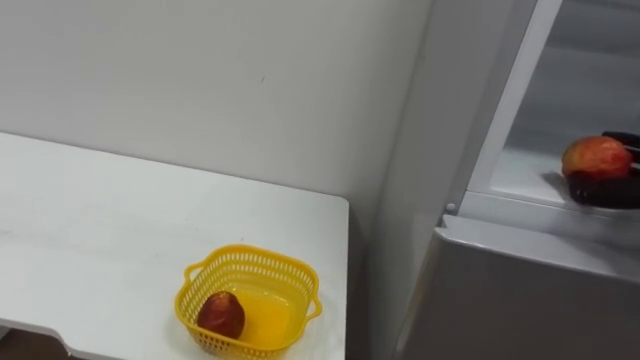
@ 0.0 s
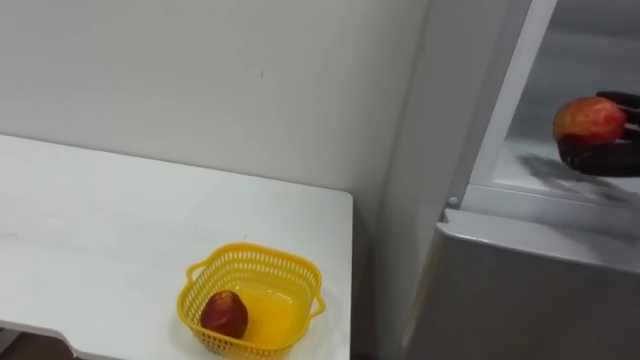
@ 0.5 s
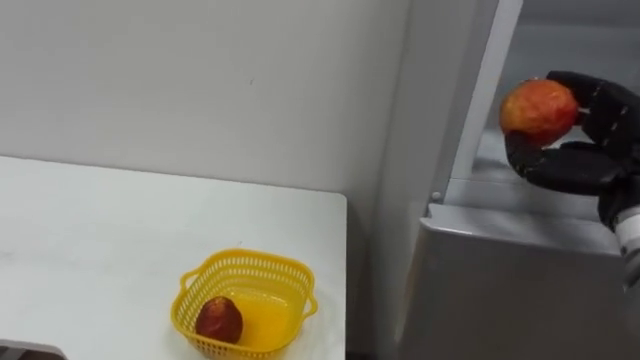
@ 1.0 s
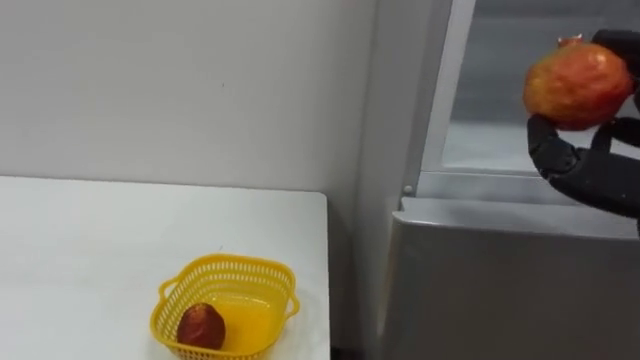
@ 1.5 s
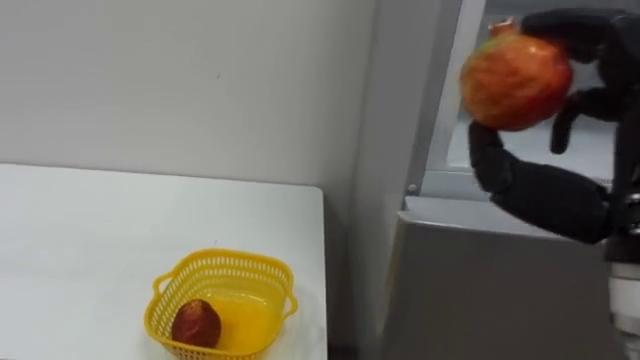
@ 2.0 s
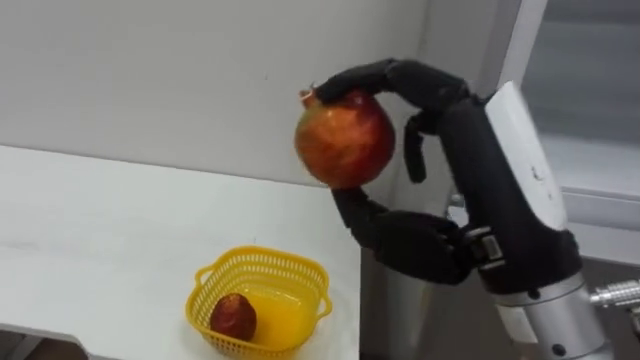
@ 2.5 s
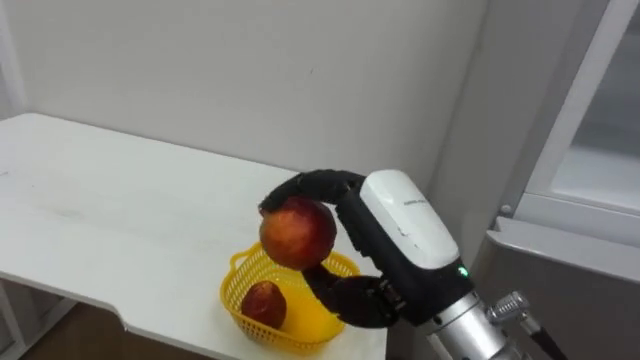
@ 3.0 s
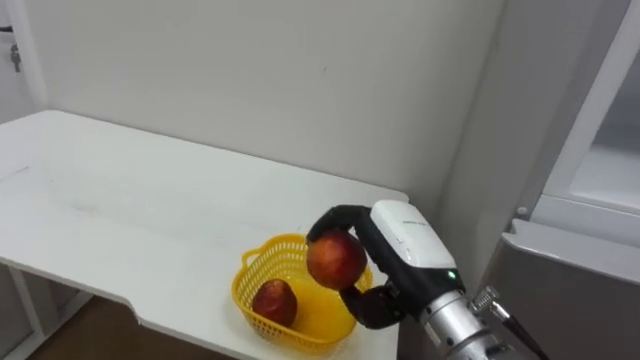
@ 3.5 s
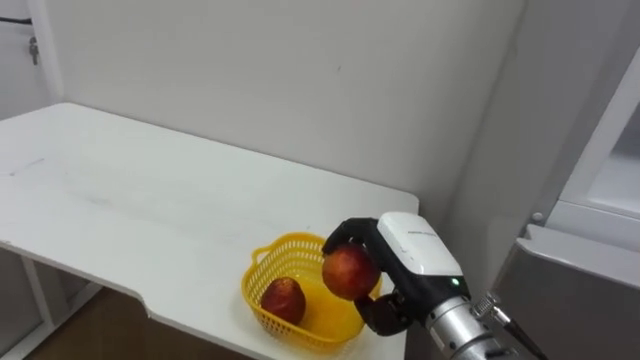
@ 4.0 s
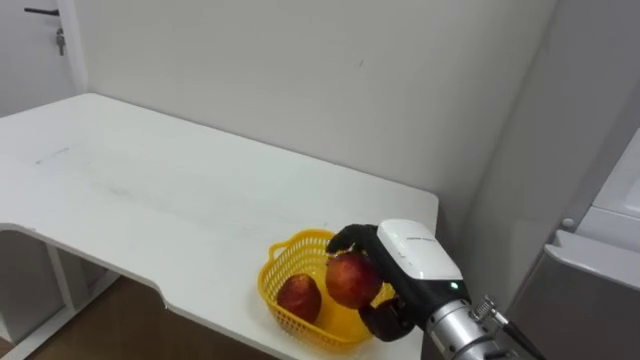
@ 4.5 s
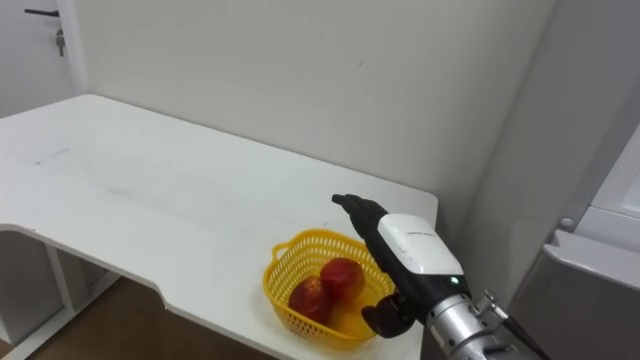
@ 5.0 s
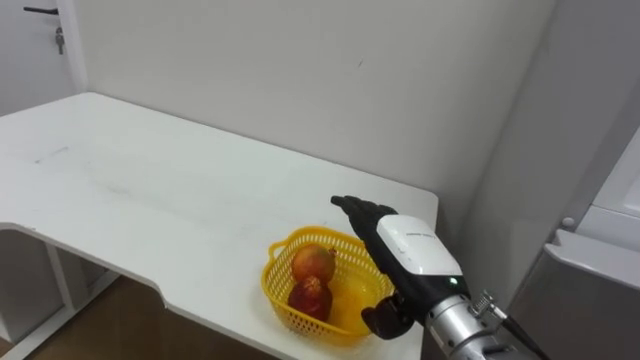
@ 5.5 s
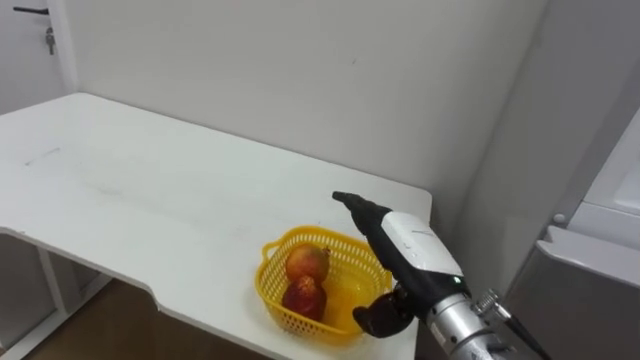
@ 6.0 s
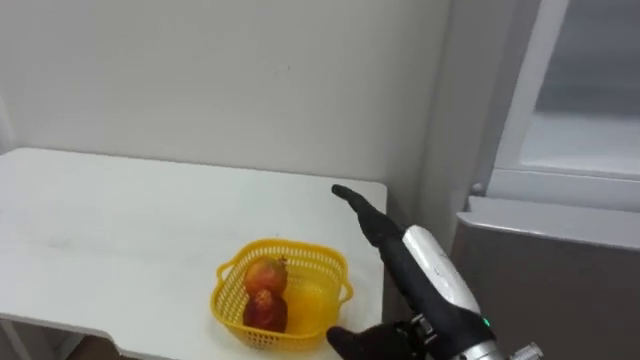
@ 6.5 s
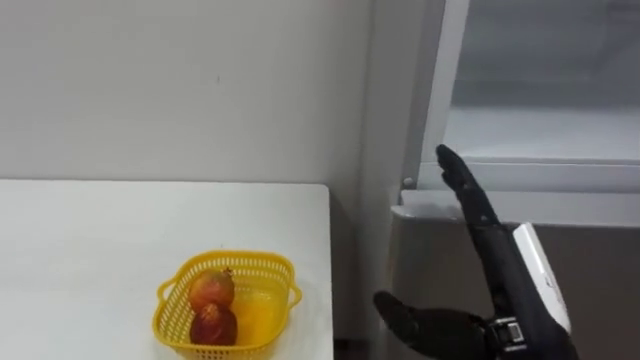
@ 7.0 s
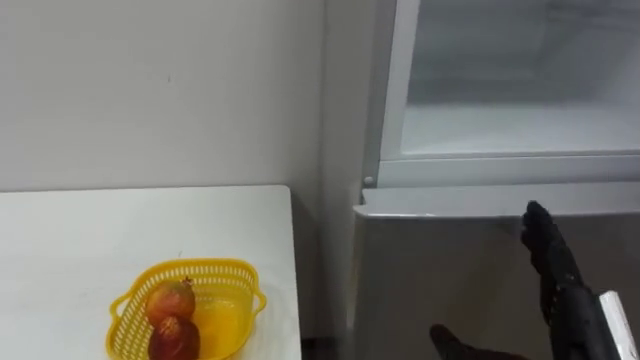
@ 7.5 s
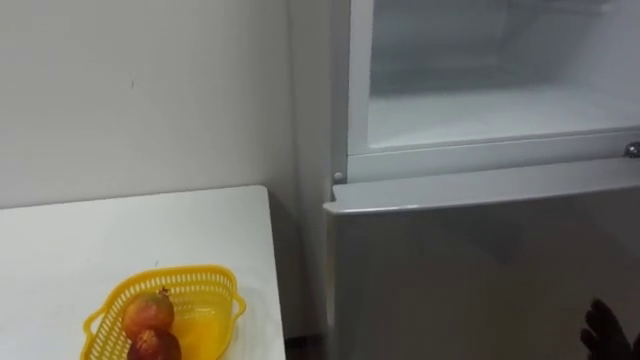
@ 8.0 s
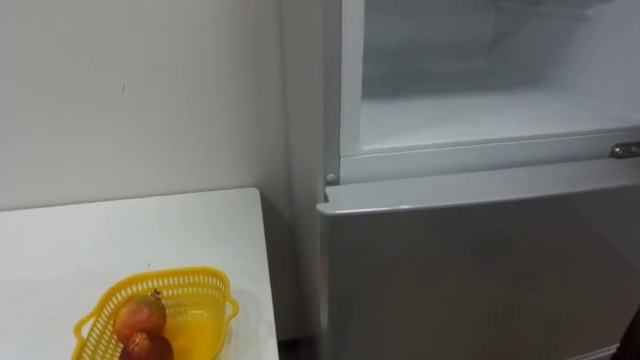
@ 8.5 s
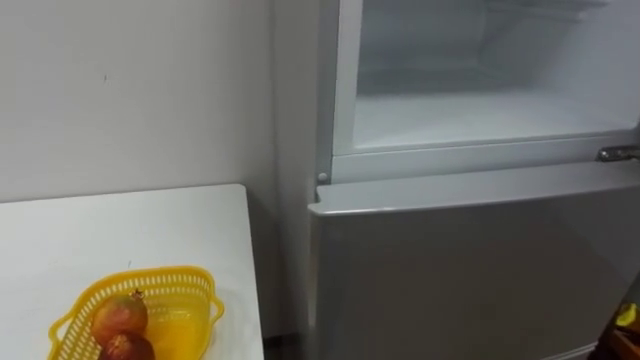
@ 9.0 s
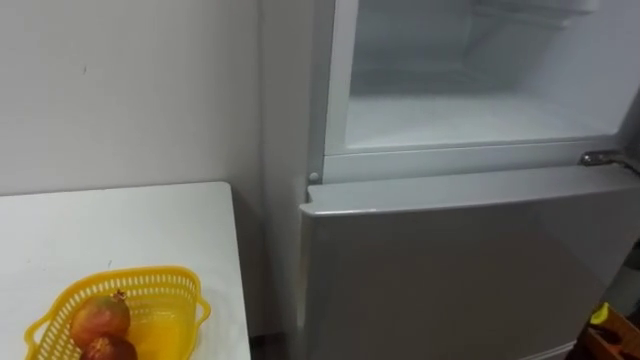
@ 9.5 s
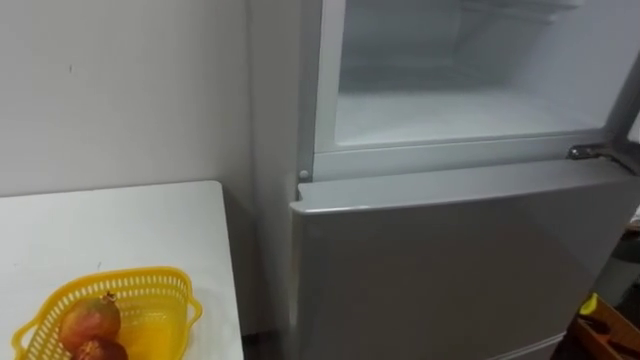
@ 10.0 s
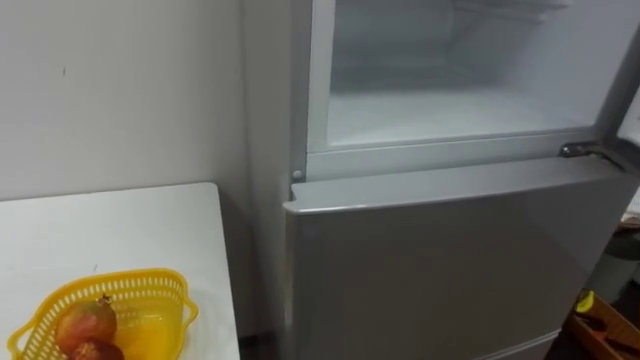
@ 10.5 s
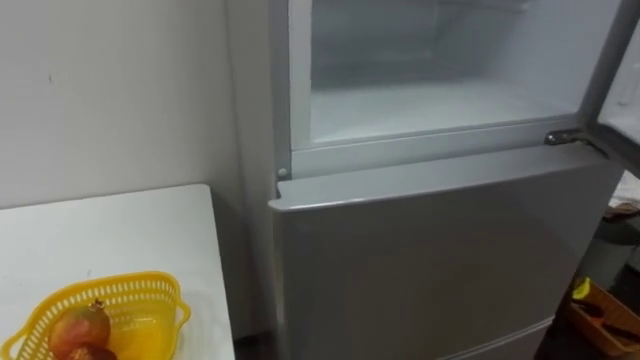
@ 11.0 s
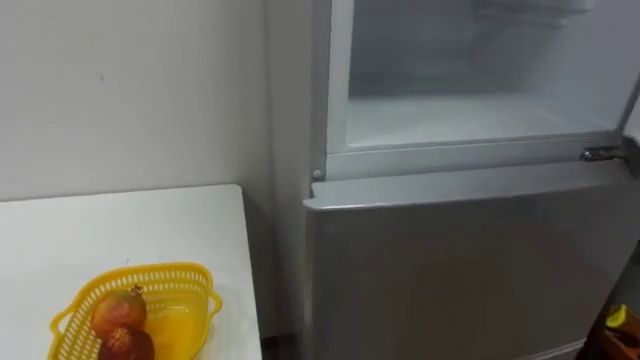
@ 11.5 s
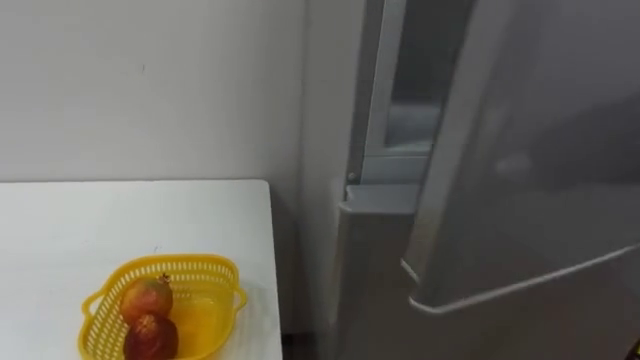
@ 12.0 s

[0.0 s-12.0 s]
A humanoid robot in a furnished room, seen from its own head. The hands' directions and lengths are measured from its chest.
Task of the whole recording: Open the refrigerator door, take out the apple and the pomegranate, place them in the fruit basket on the left, and close the refrigerator door.
2.0 to 4.0 s: The right hand moves downward, to the left and forward, some 25 cm.
4.0 to 6.0 s: The right hand opens up.

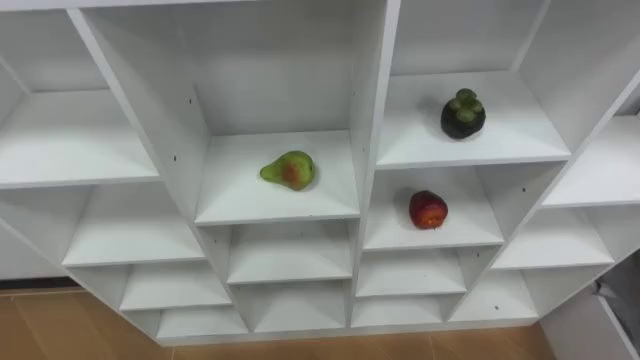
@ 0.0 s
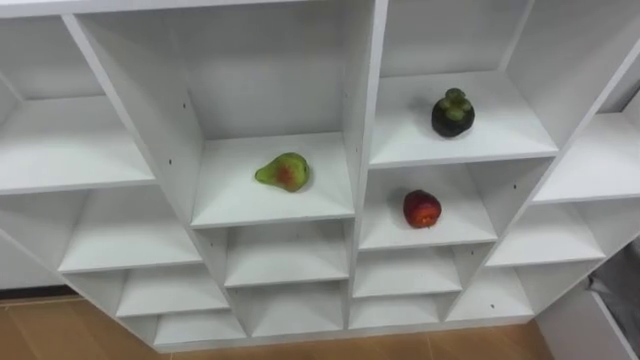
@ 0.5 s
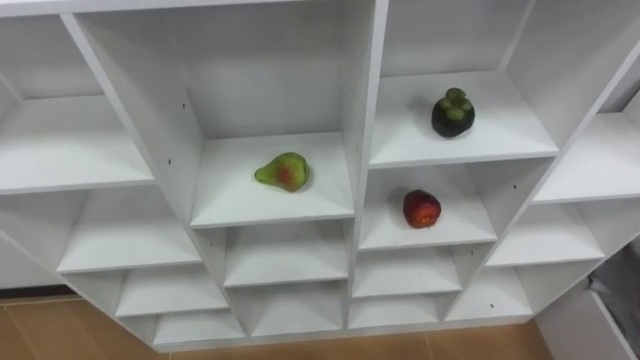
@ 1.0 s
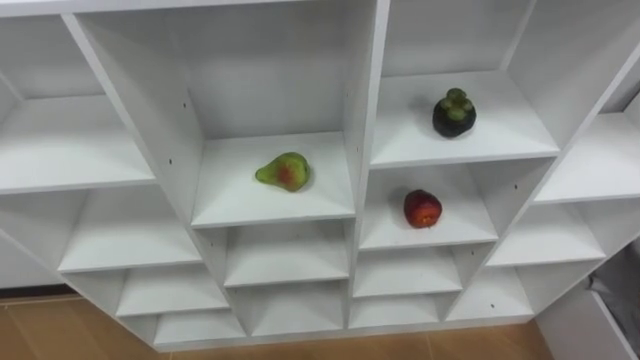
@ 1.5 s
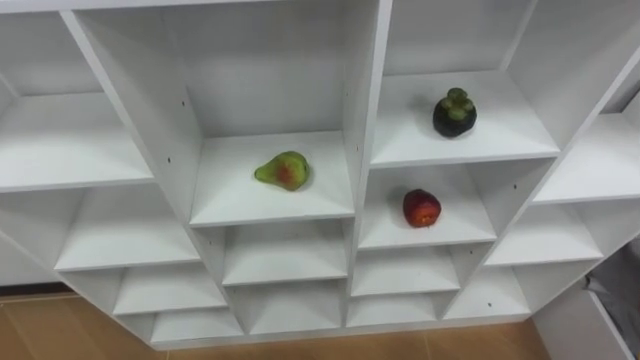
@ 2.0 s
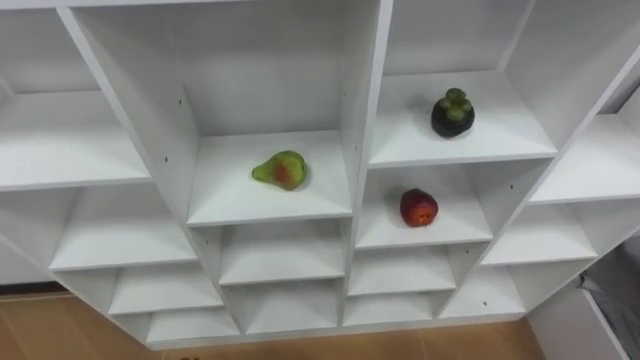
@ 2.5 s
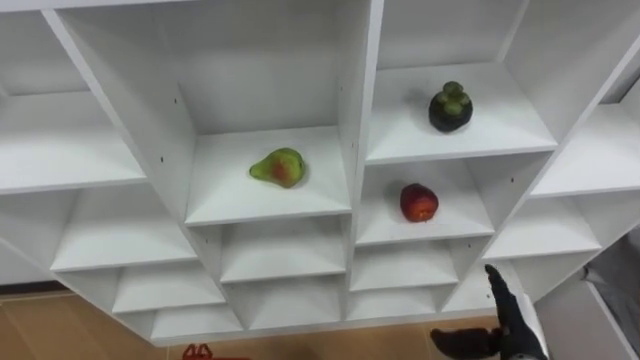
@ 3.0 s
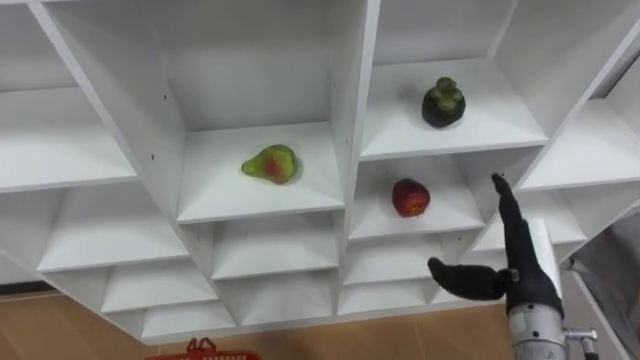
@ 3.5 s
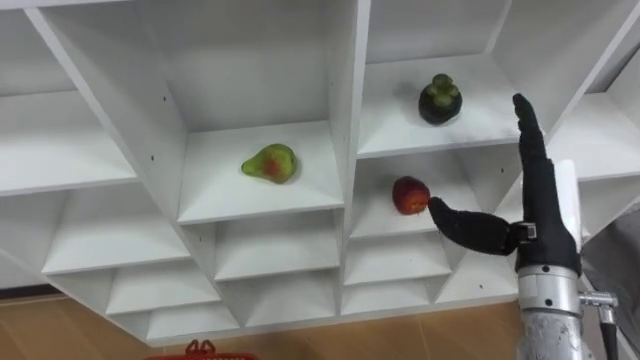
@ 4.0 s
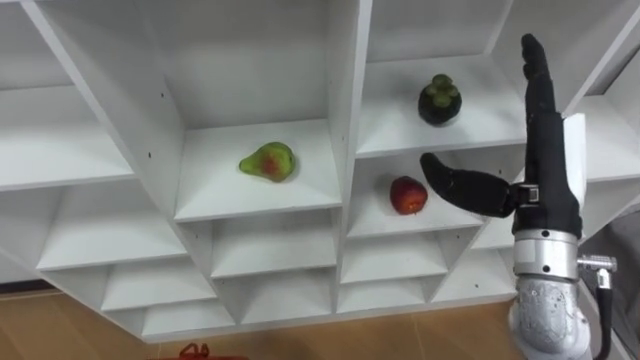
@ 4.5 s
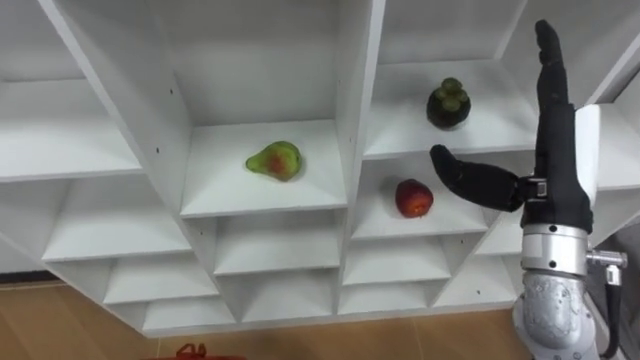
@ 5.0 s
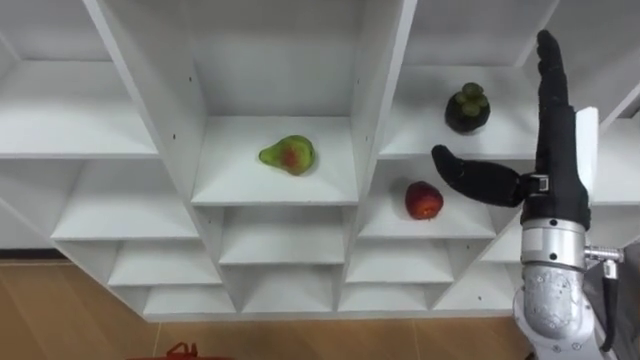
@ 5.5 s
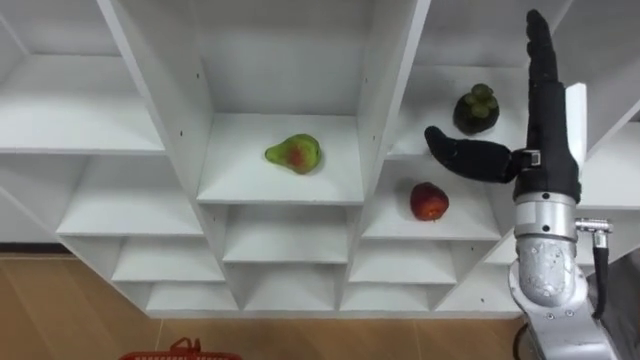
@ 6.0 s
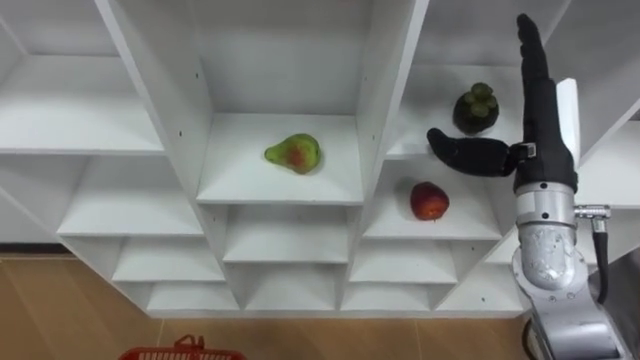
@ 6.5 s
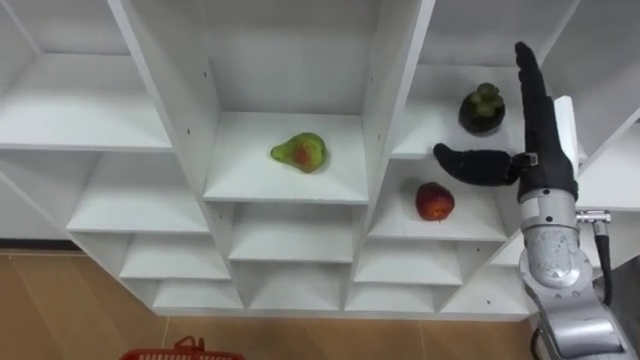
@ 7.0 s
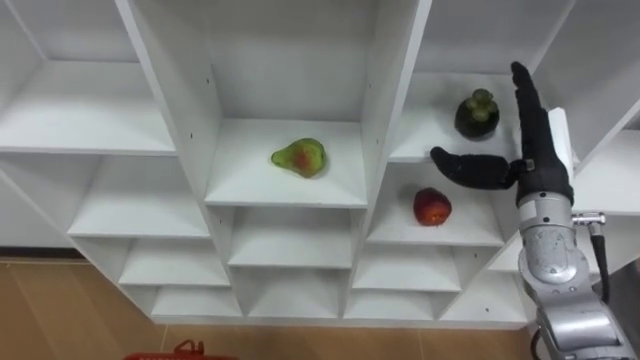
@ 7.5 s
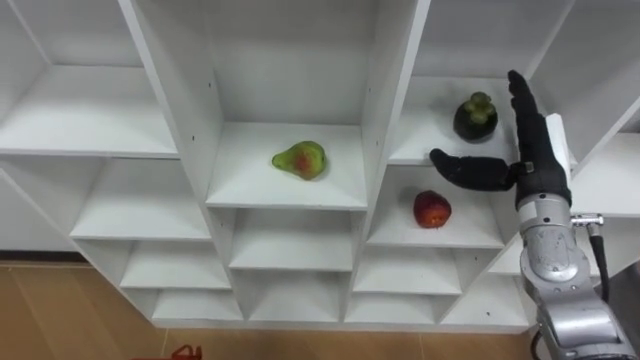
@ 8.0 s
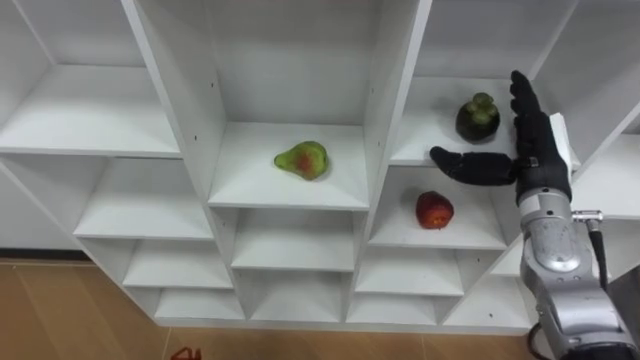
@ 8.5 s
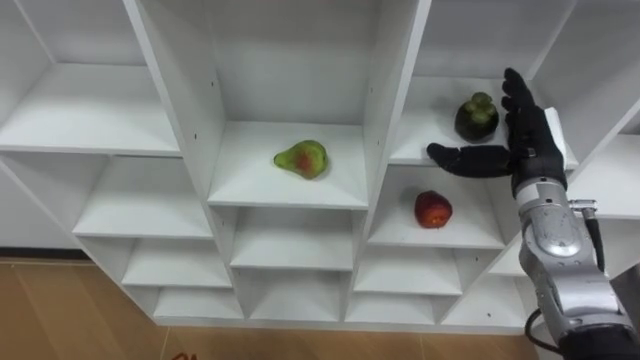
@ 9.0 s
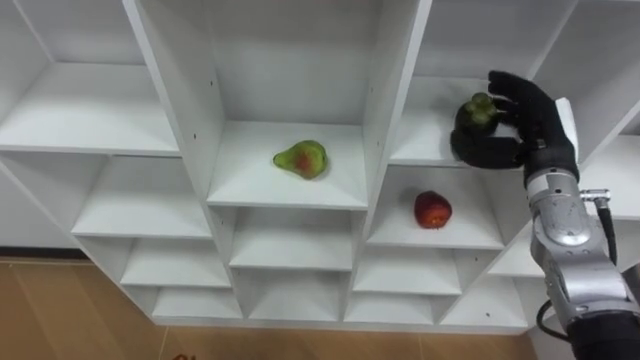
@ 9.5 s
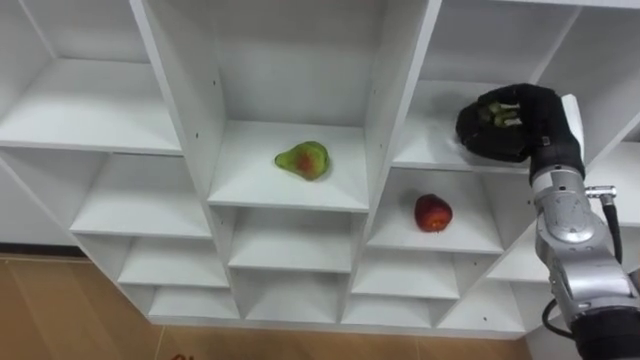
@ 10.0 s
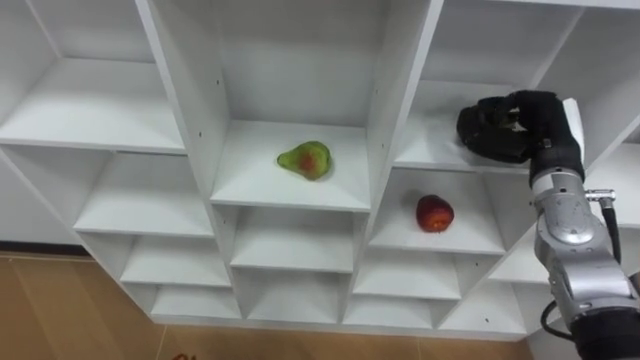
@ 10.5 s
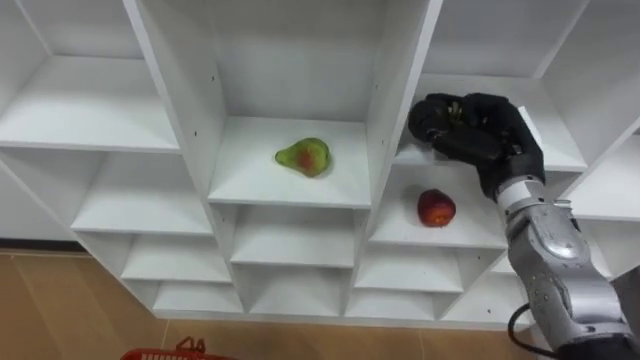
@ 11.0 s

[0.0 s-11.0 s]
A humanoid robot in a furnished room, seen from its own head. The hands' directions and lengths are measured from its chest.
Task of the whole recording: Hold the basket and collect the fruits from 3 different cells of the closet into it.
3.5 to 5.5 s: The right hand travels upward by roughly 15 cm.
5.5 to 7.5 s: The right hand heads forward and downward, covering approximately 10 cm.
9.0 to 11.0 s: The right hand closes its fingers.
